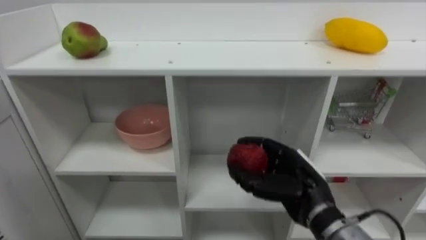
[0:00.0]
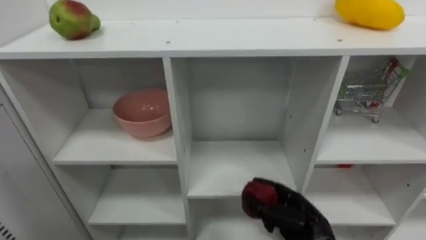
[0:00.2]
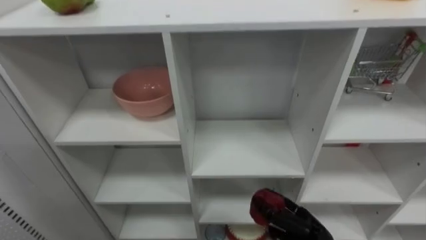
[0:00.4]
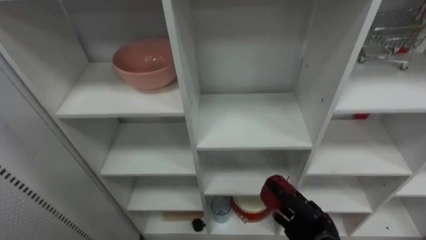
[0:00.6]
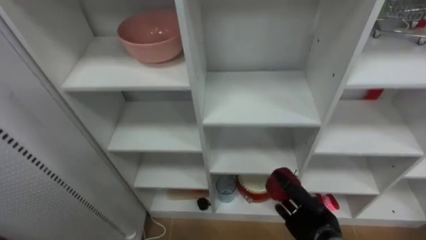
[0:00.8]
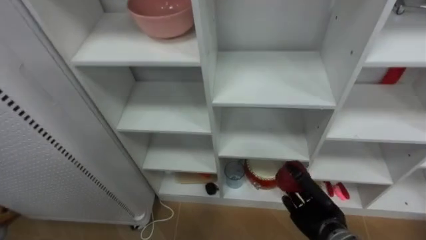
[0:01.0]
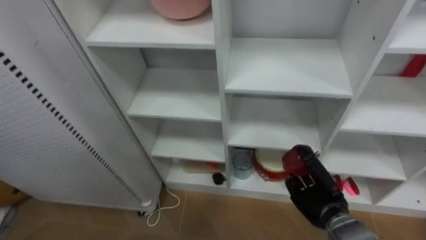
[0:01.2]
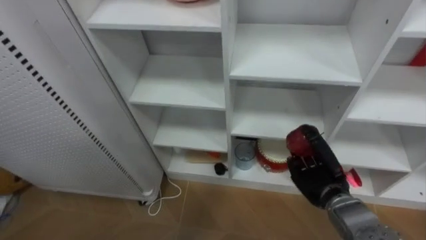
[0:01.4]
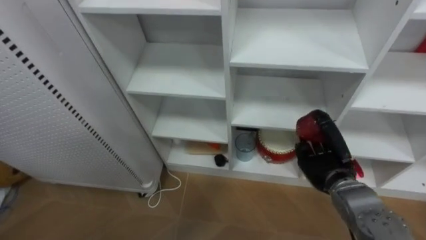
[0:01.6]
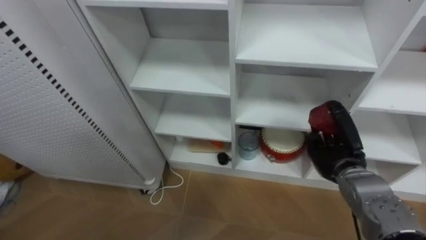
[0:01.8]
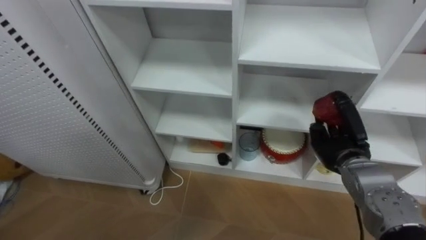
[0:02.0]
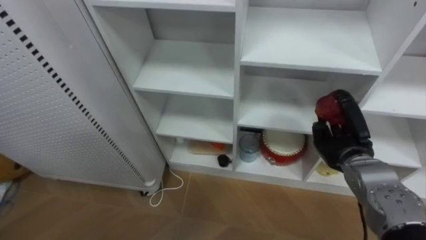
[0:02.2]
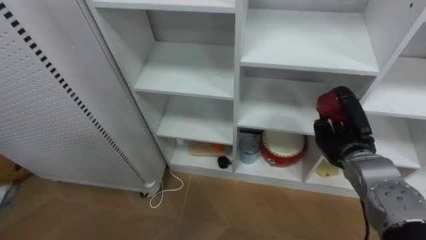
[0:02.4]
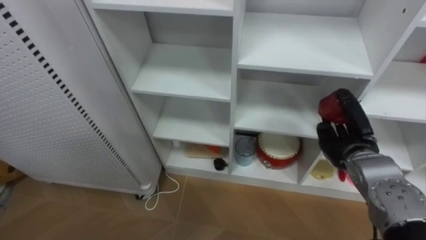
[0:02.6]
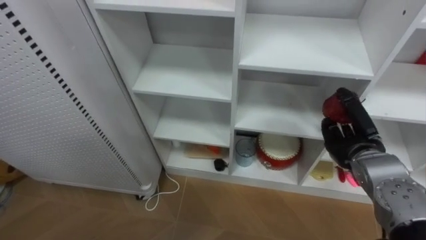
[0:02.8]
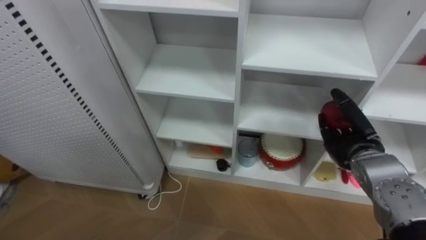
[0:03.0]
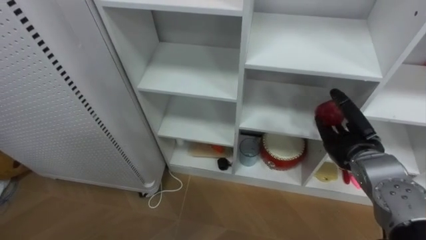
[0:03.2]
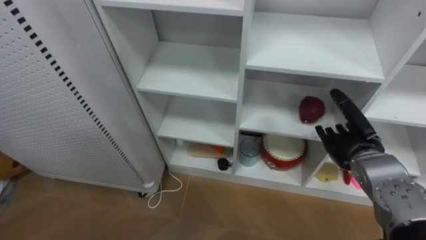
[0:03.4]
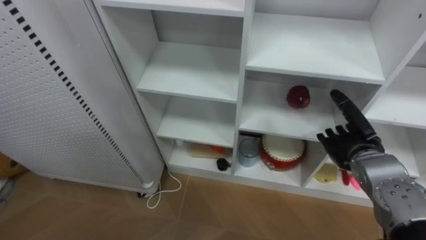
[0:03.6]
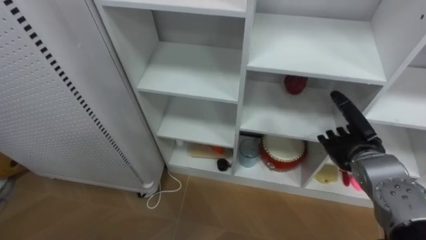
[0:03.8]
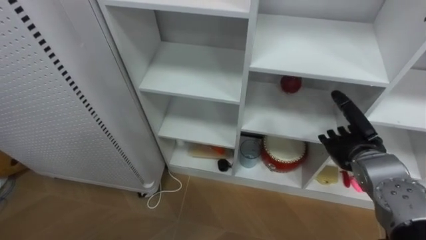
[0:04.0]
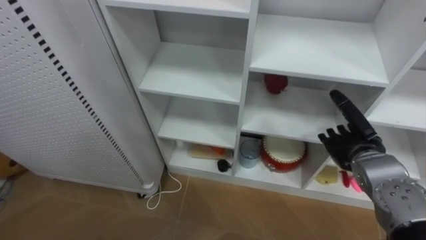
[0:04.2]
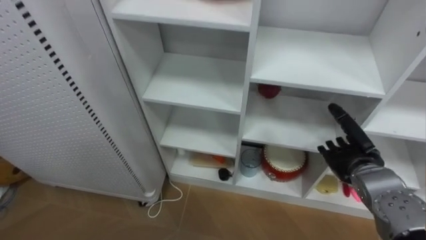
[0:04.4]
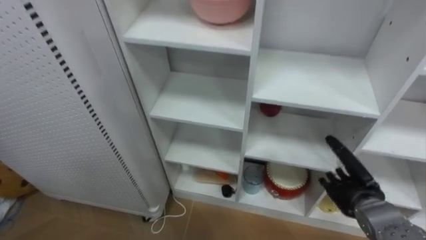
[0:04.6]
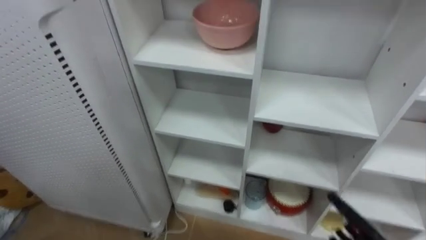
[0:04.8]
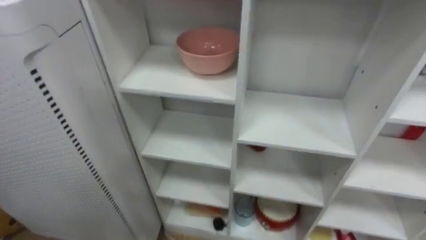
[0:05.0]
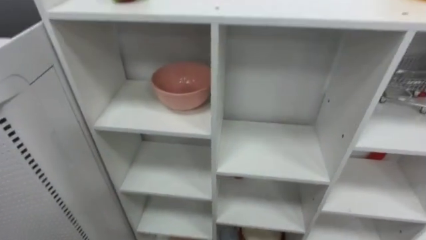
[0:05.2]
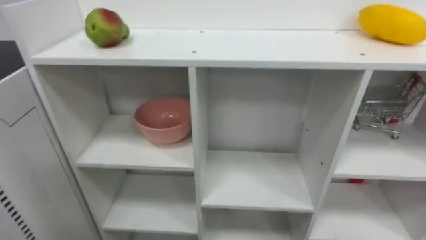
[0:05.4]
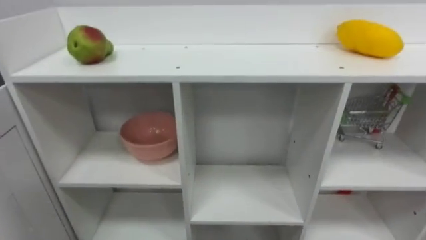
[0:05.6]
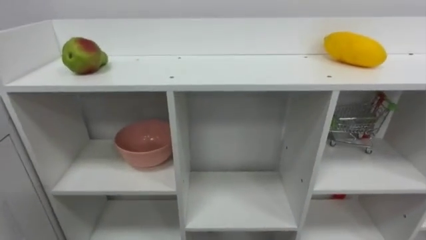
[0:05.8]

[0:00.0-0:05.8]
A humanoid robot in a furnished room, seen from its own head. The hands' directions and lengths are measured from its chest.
Task of the whole recording: Put the apple in the cell in the second column from the left and the second row from the top.
0:00.0 to 0:01.4: The right hand heads downward, forward and to the right, covering roughly 10 cm.
0:01.4 to 0:02.8: The right hand is displaced upward and to the right by some 10 cm.
0:02.8 to 0:04.4: The right hand opens.

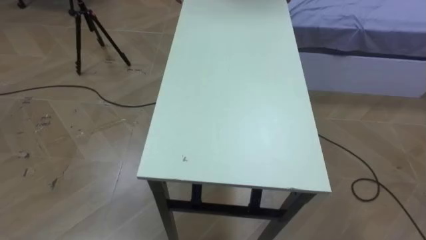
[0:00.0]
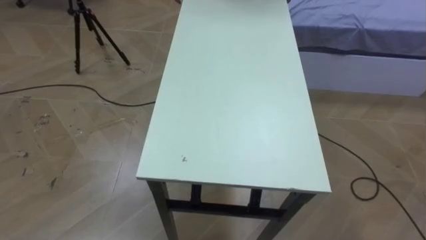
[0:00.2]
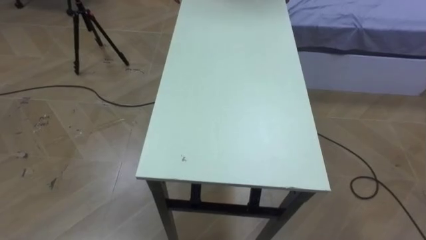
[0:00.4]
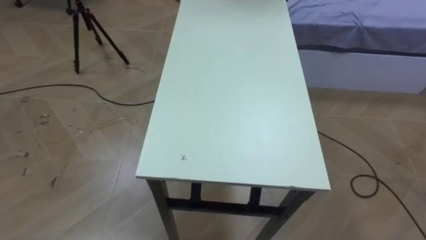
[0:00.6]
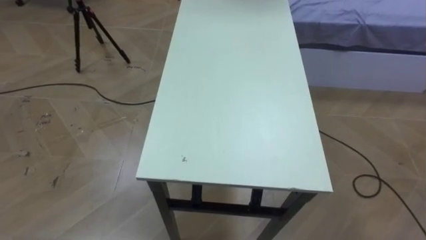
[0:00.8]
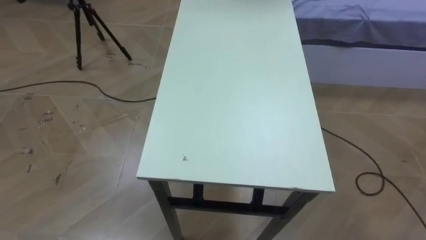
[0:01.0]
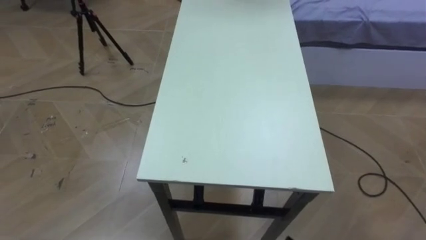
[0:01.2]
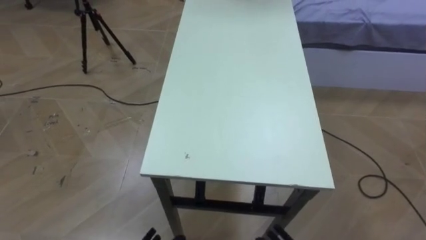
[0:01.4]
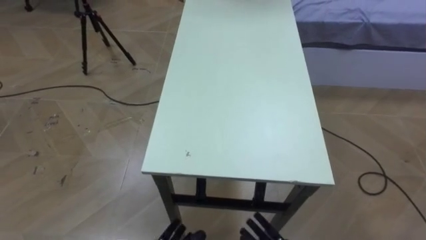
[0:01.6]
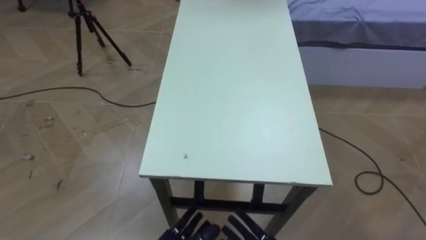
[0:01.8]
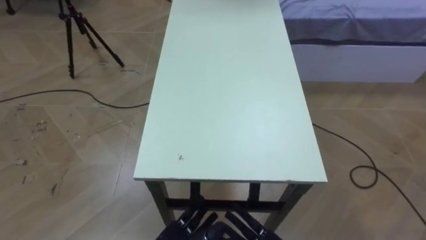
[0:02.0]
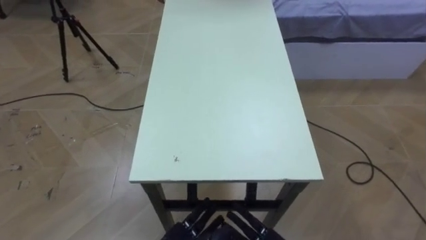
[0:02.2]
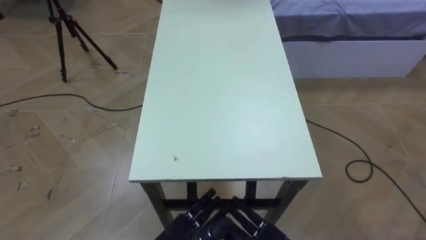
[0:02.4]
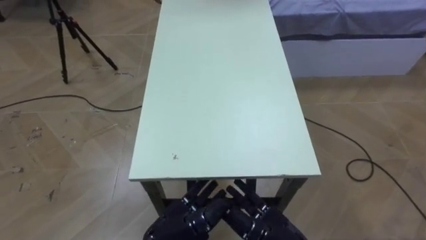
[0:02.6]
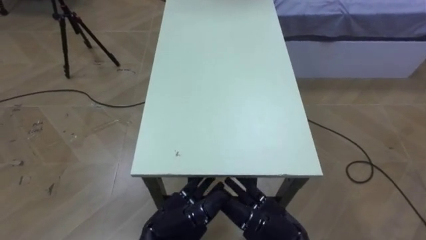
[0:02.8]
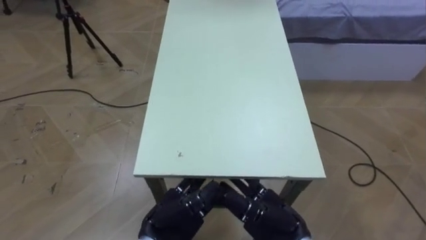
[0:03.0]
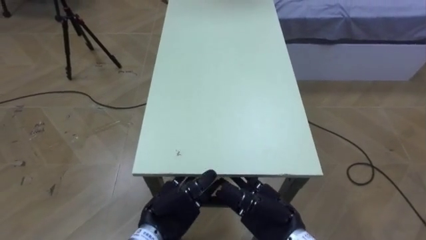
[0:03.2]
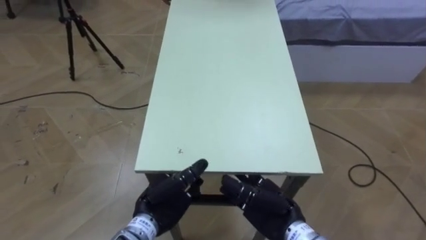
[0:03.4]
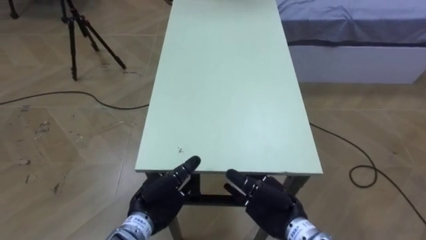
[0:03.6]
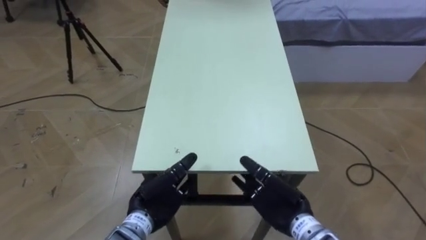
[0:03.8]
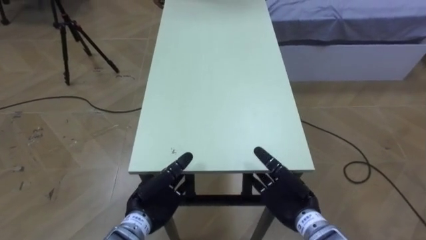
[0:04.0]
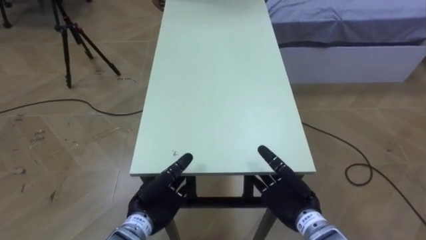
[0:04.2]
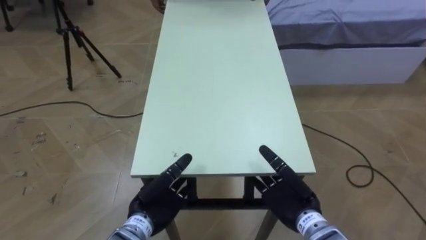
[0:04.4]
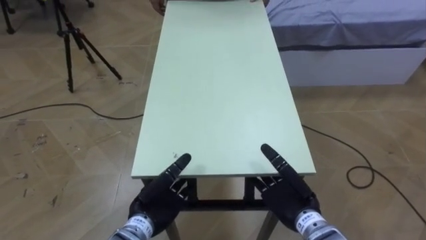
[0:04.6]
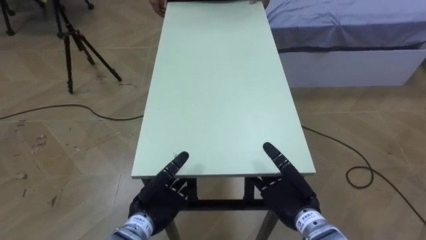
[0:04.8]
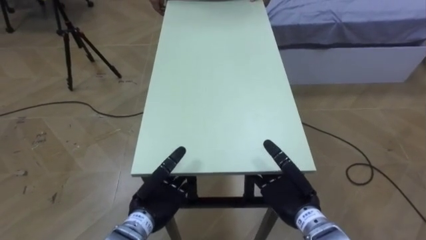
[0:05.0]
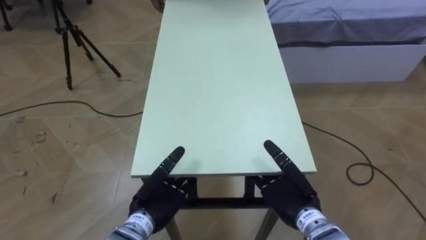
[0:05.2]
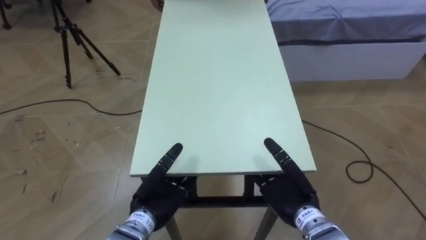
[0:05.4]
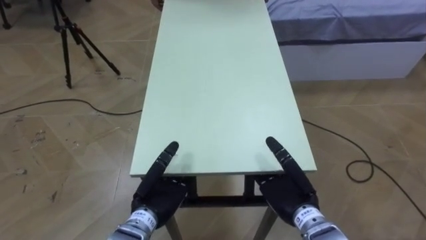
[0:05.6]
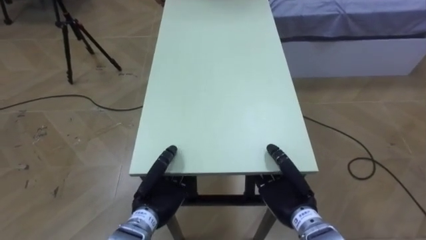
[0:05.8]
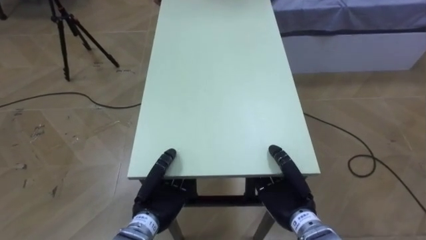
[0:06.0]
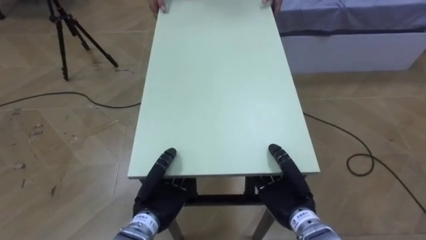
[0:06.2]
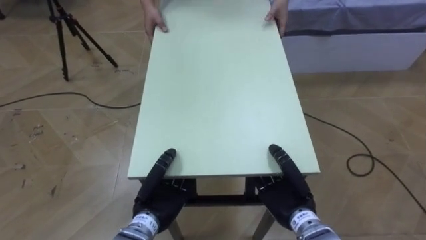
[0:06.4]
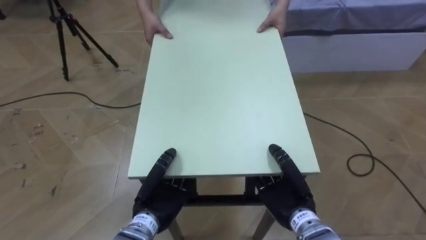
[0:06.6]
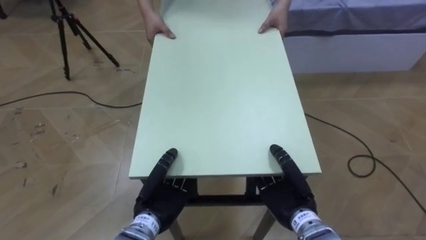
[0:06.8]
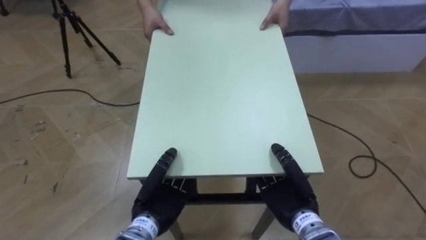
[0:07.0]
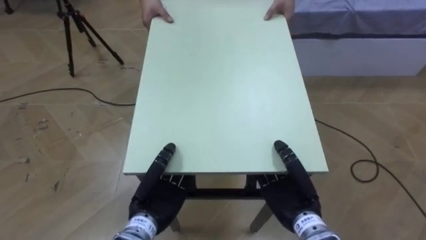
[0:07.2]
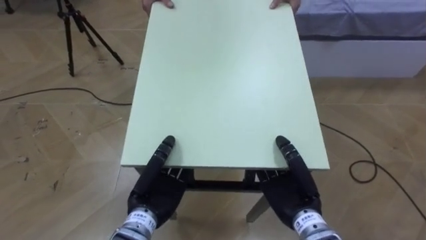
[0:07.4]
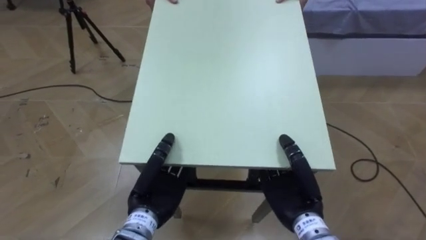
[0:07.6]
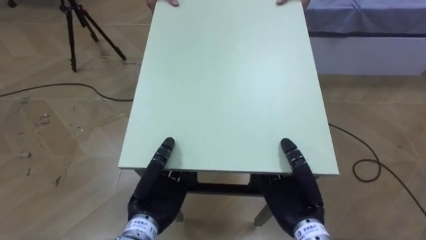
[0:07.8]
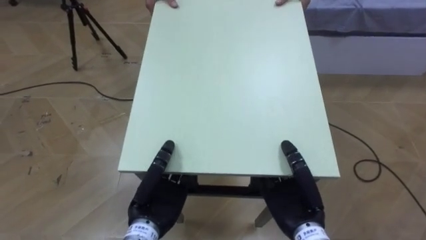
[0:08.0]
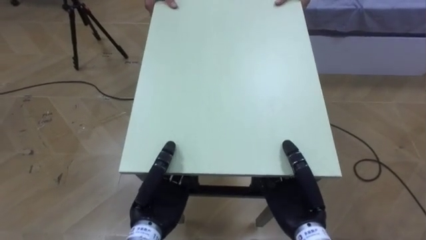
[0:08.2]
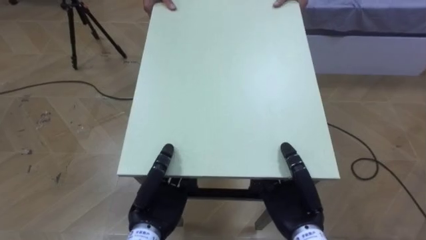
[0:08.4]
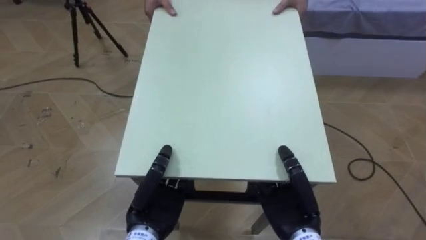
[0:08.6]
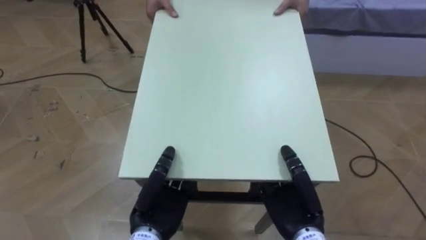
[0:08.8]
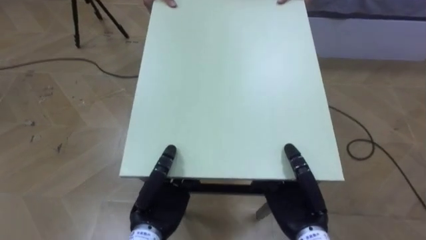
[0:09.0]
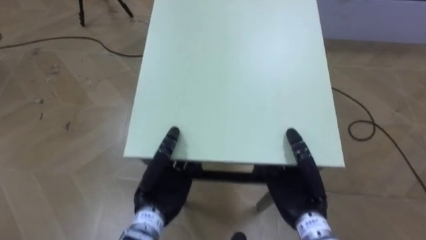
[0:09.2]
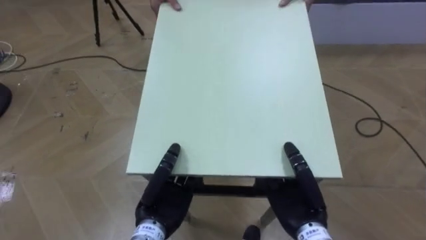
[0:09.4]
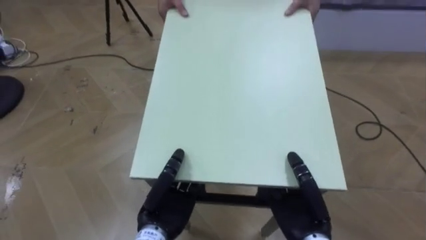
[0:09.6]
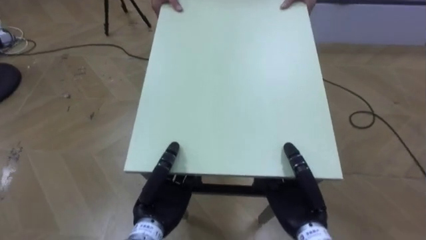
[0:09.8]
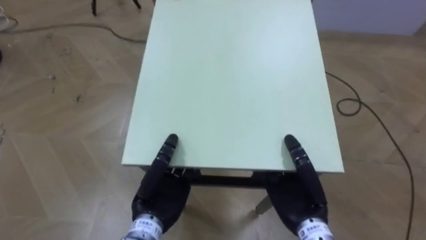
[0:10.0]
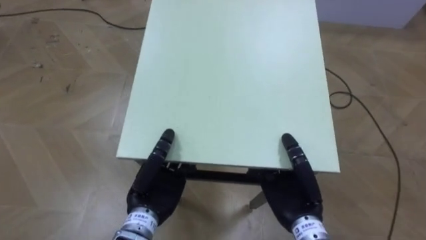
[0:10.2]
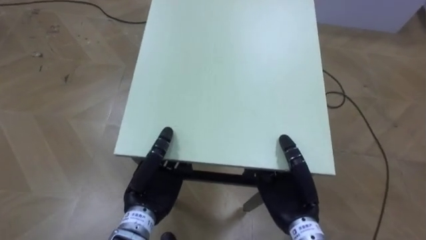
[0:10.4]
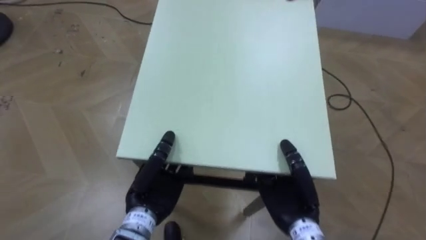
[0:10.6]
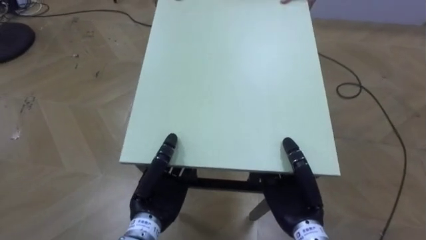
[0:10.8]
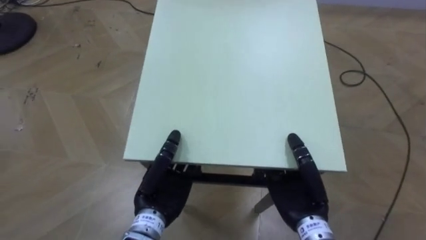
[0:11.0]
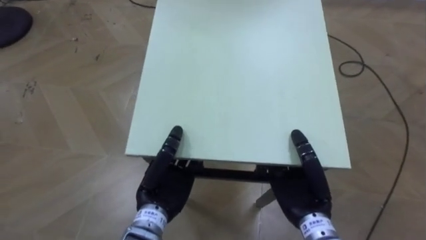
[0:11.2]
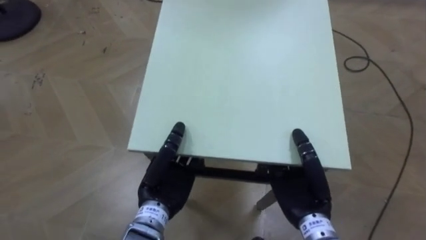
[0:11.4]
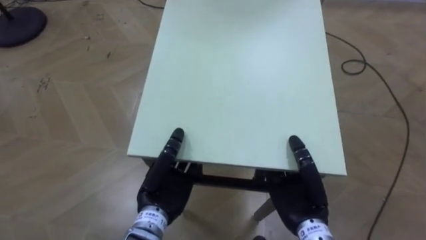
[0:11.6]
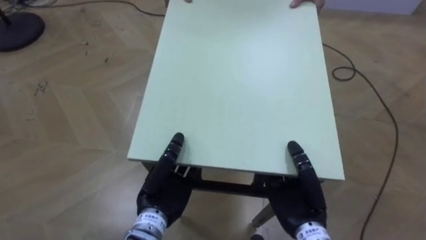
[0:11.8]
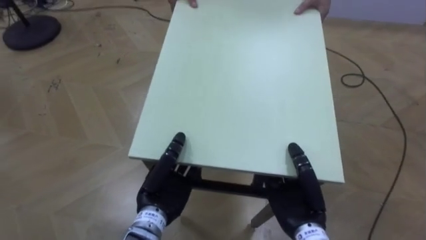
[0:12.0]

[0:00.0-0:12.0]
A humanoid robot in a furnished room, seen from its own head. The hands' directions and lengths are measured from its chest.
Task of the whole recording: Move the table to the back left with someone.
0:03.0 to 0:04.4: The left hand shifts by roughly 5 cm, while the right hand shifts by approximately 5 cm.
0:04.4 to 0:06.0: The right hand closes. Meanwhile the left hand closes up.
